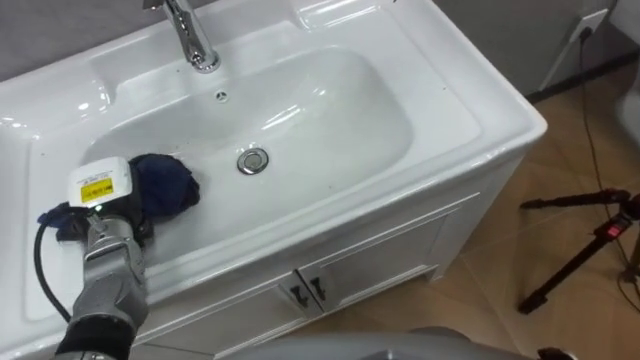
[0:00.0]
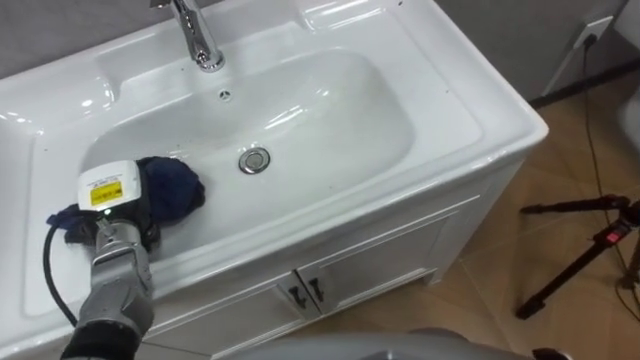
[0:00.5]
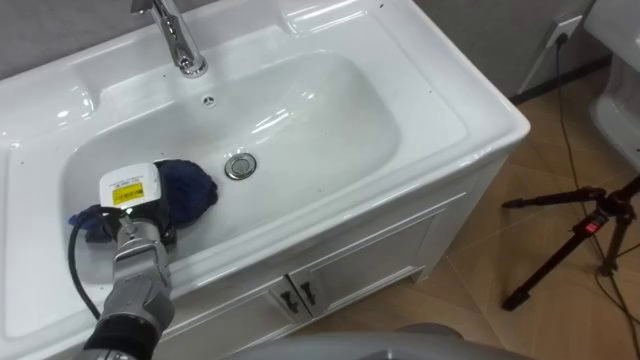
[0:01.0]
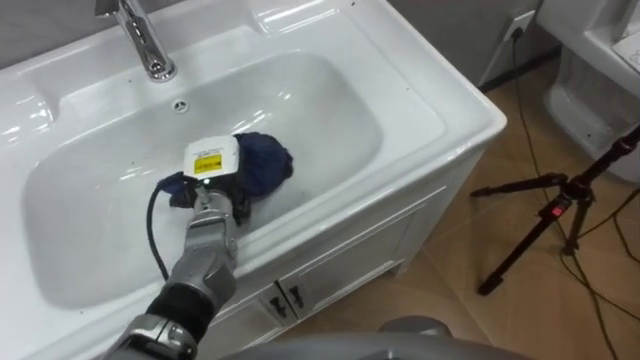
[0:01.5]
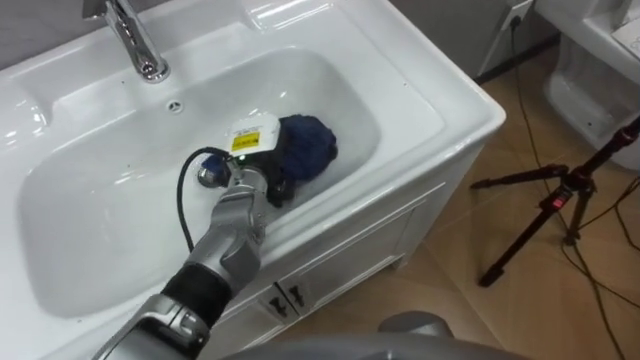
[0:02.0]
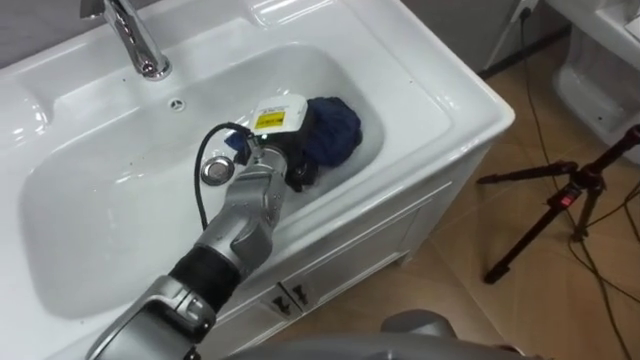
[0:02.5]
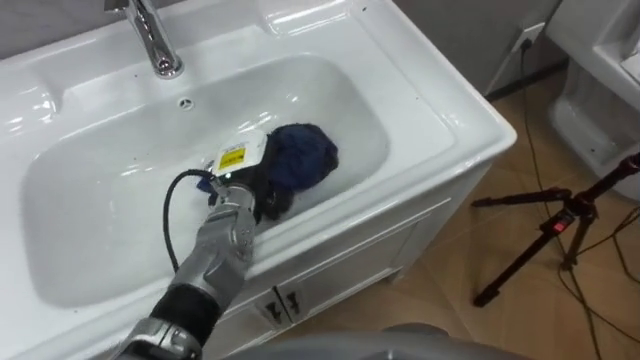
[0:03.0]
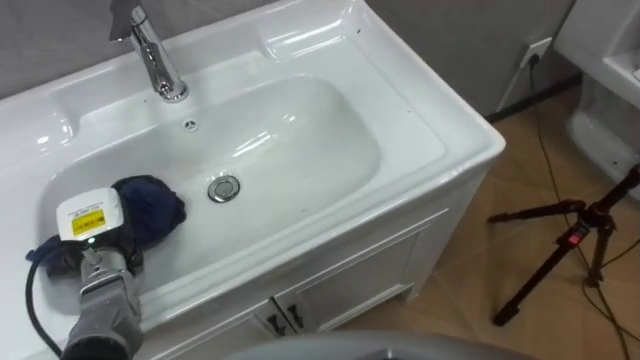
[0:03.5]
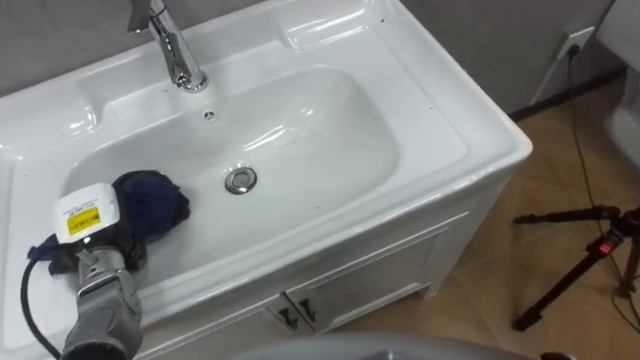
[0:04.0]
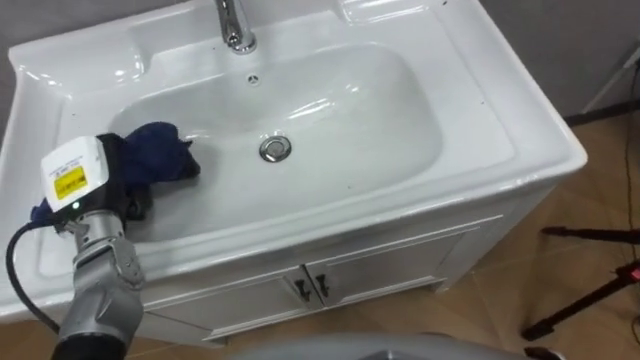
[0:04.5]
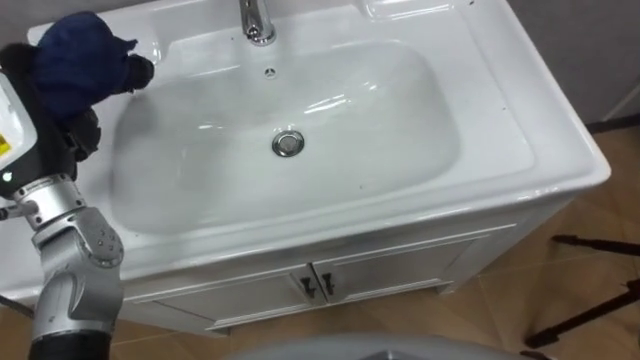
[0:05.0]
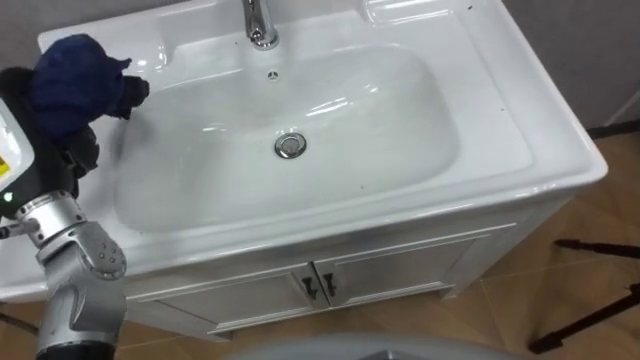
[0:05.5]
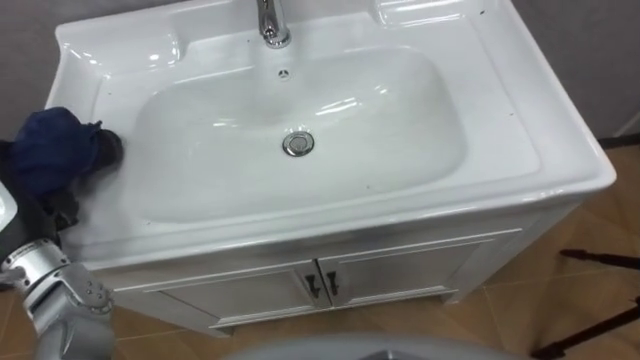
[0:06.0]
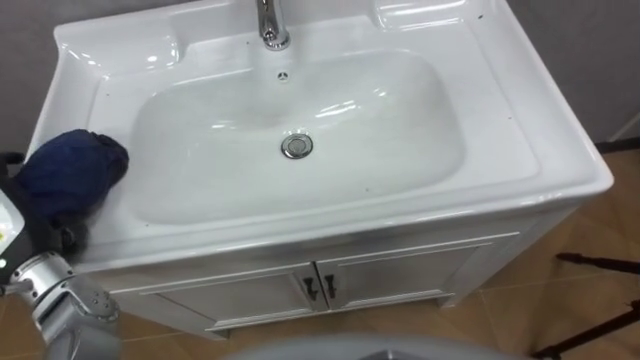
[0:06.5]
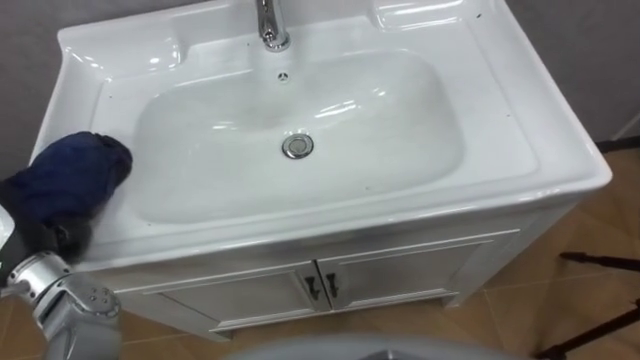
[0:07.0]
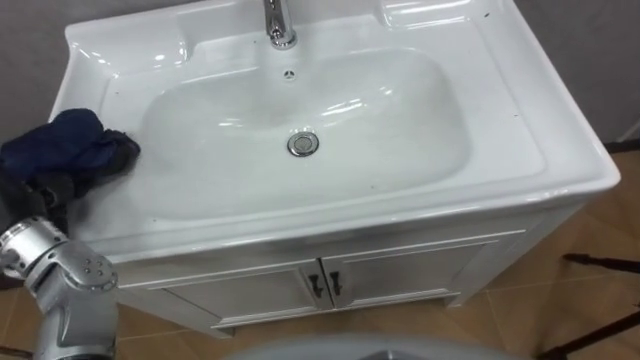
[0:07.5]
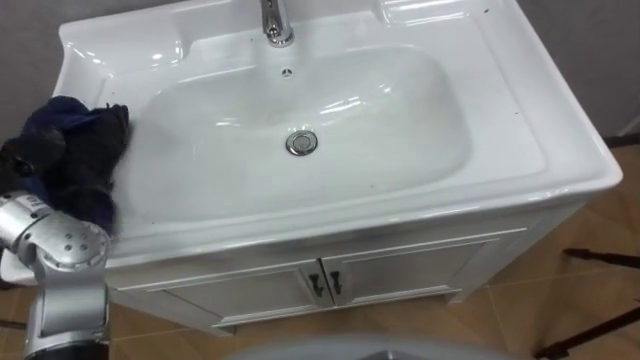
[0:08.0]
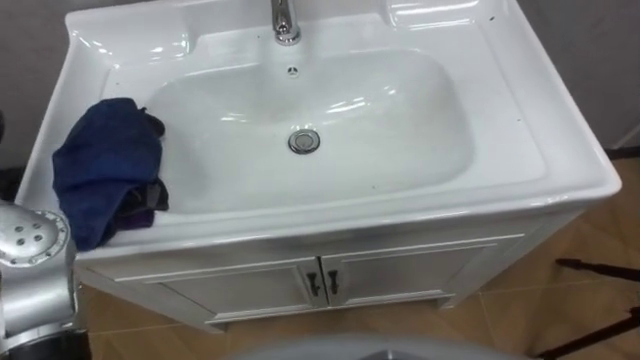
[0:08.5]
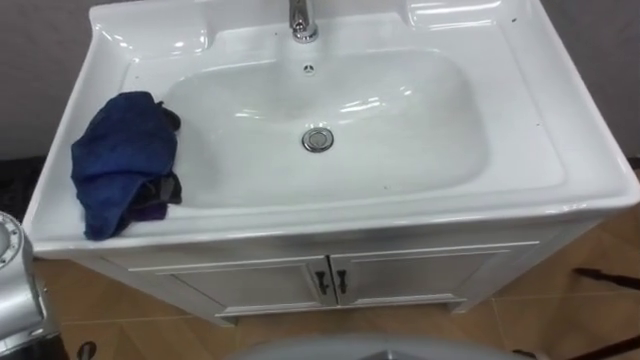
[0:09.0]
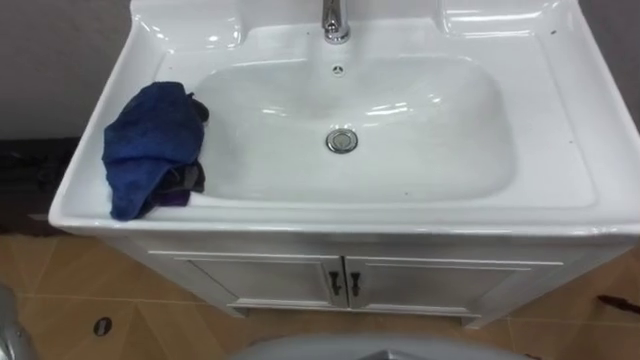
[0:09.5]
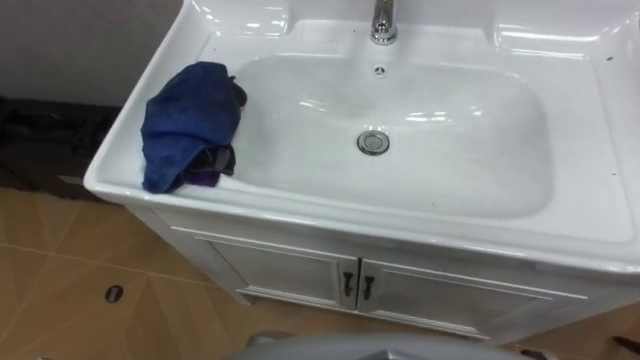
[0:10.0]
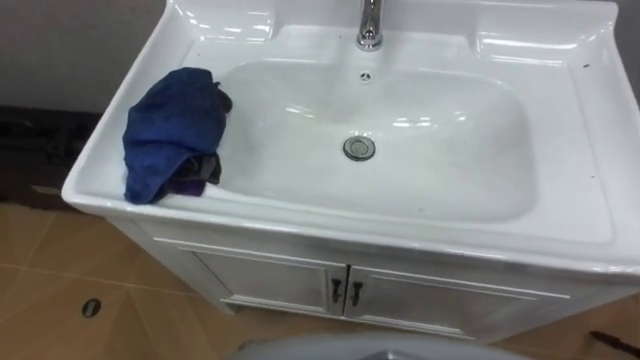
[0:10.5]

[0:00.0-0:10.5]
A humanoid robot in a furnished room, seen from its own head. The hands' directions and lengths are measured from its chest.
Task of the whole recording: Use the cloth on the right to wipe away the black stain in the sink.
0:00.0 to 0:02.0: The left hand goes about 20 cm to the right.
0:02.0 to 0:04.0: The left hand is displaced to the left and backward by some 25 cm.

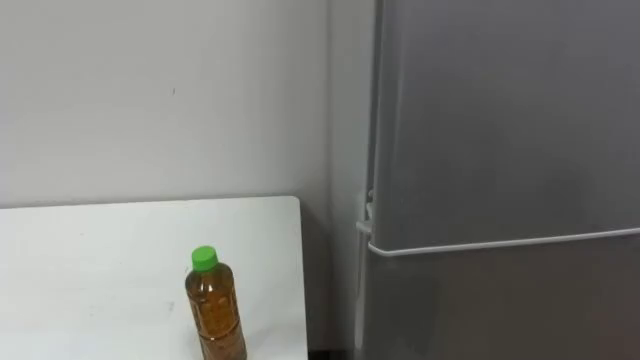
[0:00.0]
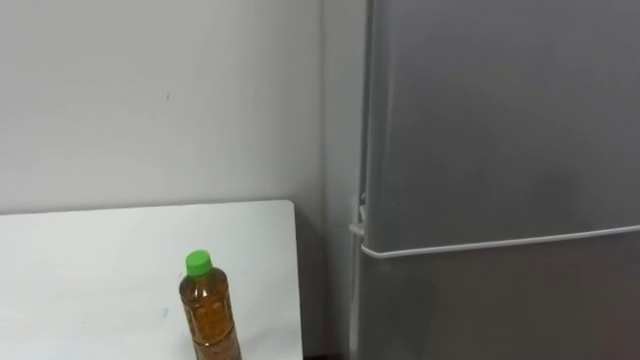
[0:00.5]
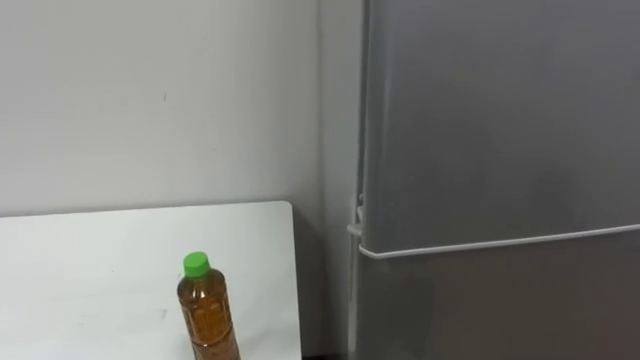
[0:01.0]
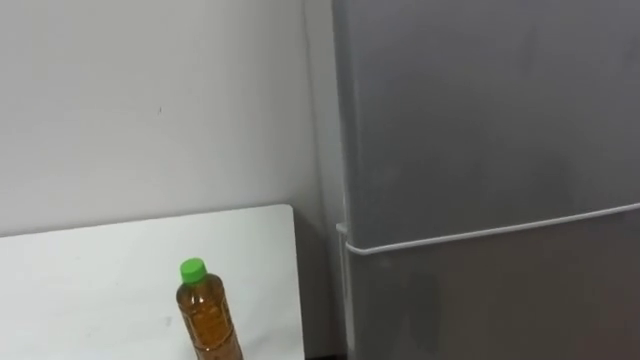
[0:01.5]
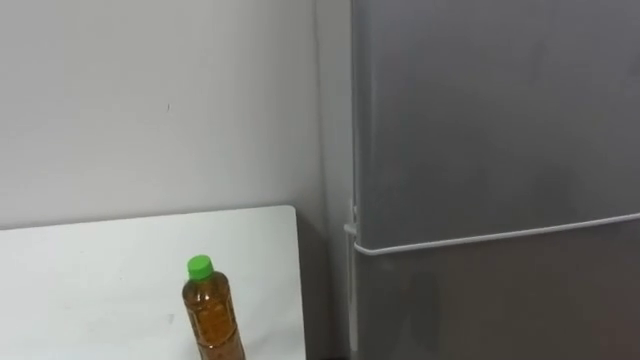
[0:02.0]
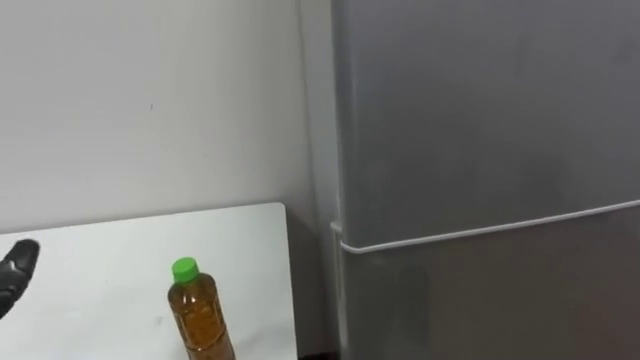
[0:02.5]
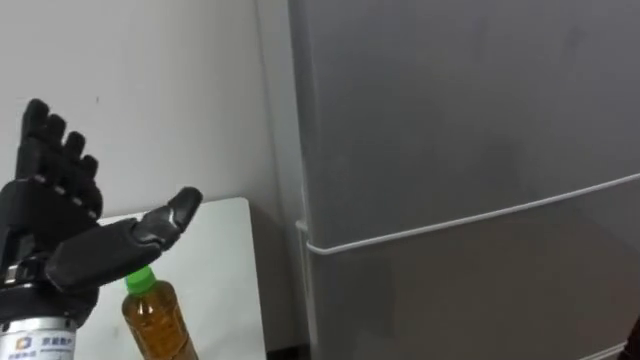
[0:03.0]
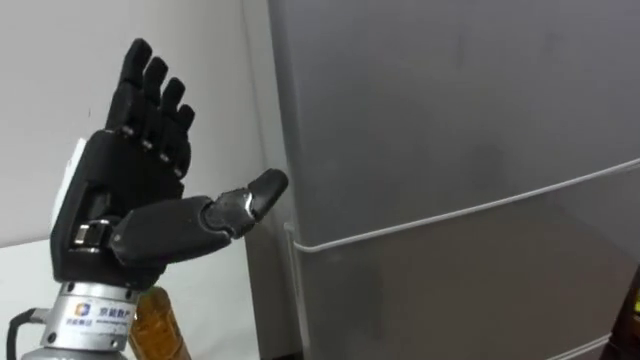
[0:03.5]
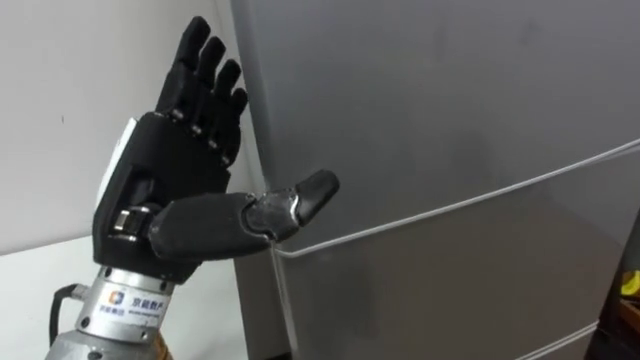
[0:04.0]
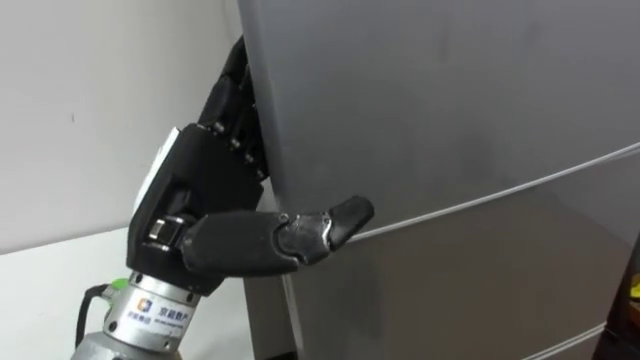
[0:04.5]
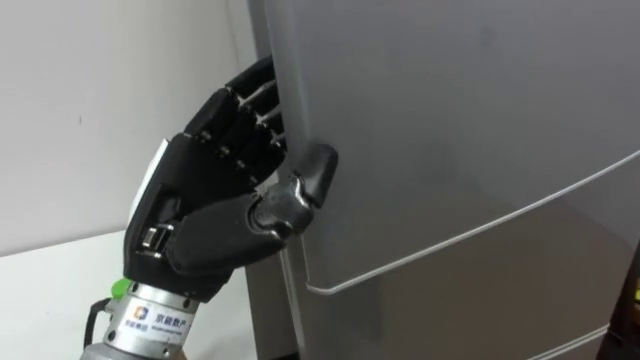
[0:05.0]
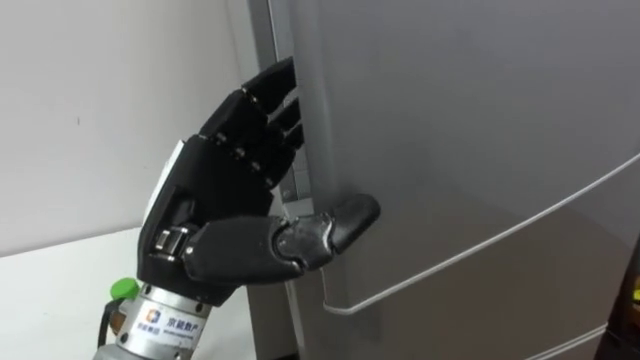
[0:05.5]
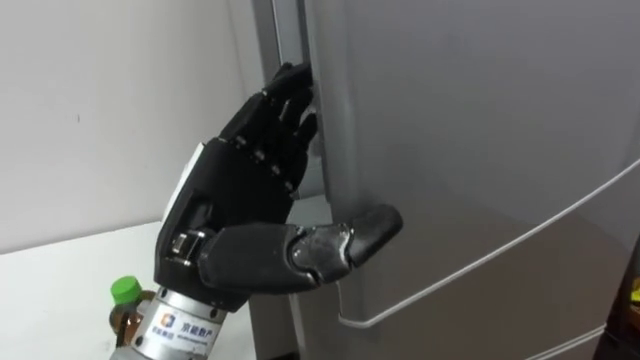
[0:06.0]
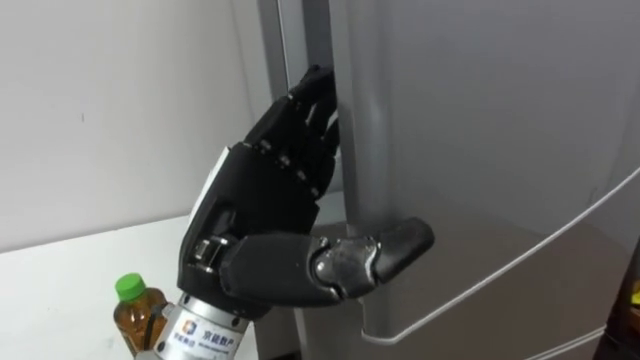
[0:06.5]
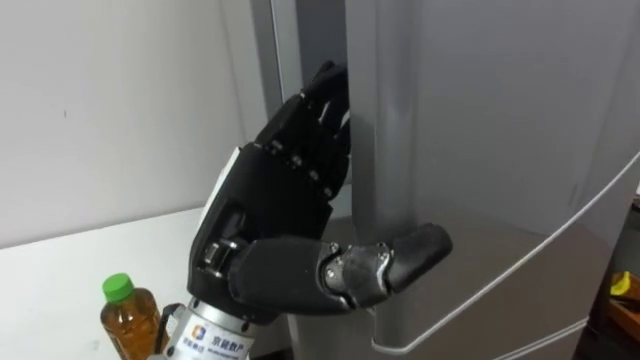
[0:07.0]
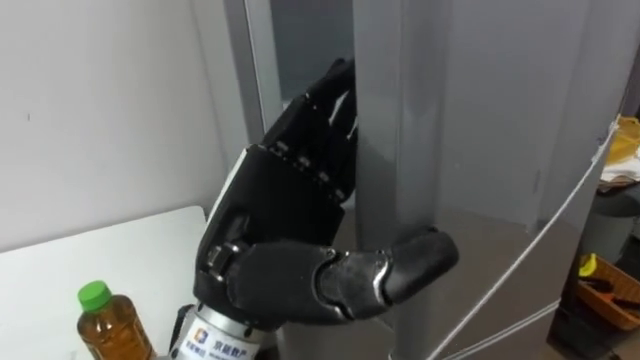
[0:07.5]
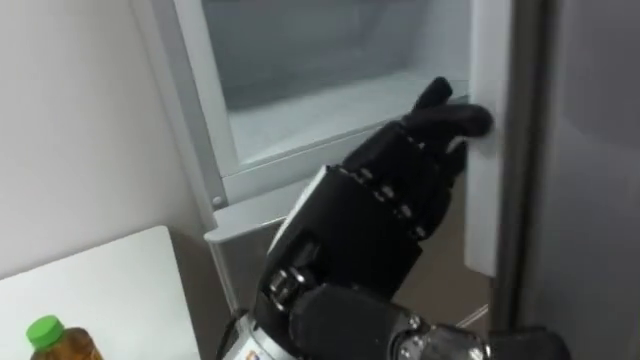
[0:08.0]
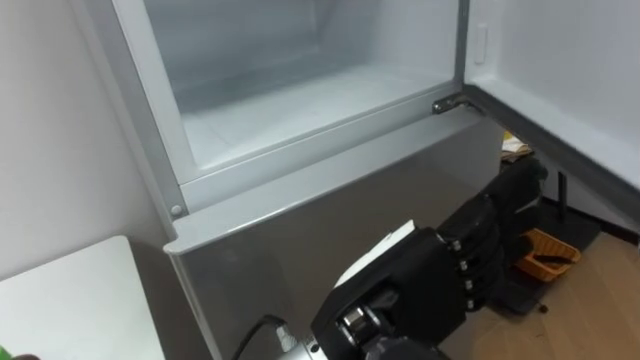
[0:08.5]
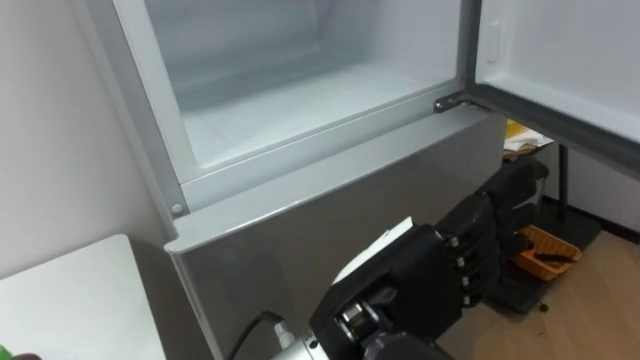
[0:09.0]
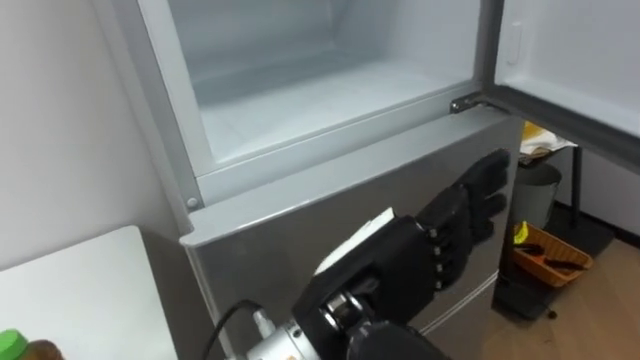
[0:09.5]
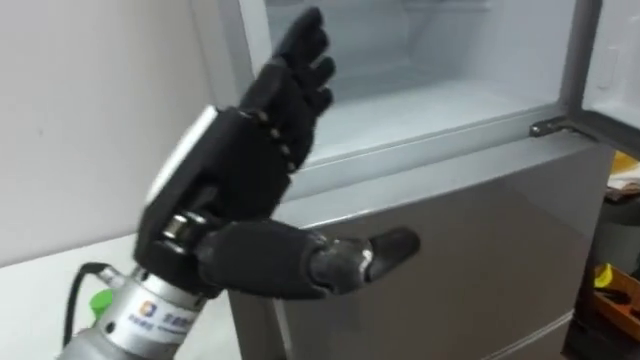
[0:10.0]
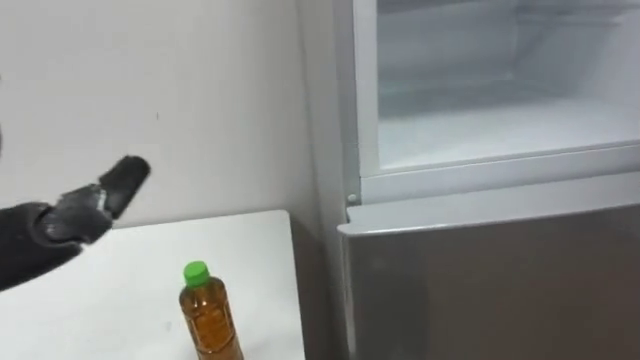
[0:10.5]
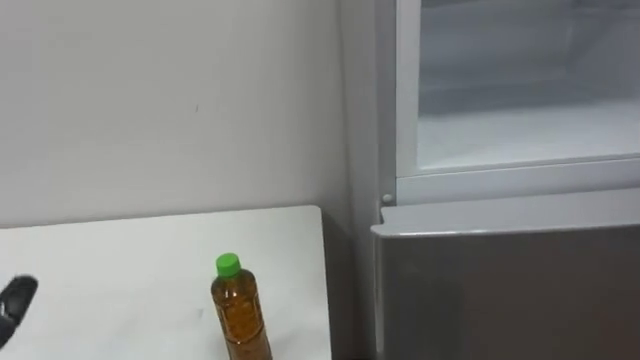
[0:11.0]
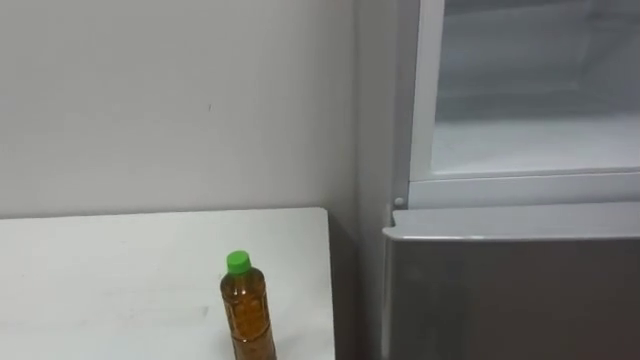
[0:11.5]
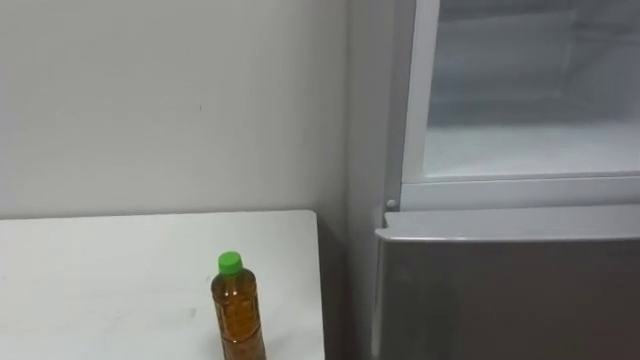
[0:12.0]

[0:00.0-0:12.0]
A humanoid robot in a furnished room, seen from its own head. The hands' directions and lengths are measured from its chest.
Task of the whole recording: Open the upper refrigerator door, put the drink from the table into the refrigerator, and then close the refrigerator door.
0:04.0 to 0:06.0: The left hand changes place by roughly 5 cm, and closes, then reopens.
0:06.0 to 0:08.0: The left hand moves to the right, approximately 5 cm.
0:08.0 to 0:10.0: The left hand goes about 5 cm to the left.
